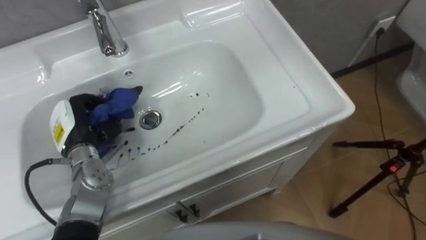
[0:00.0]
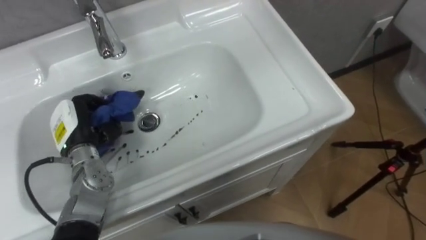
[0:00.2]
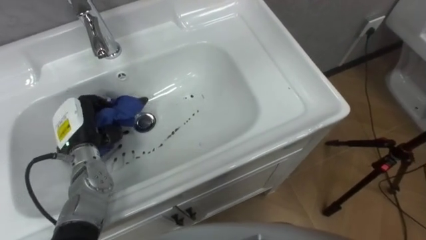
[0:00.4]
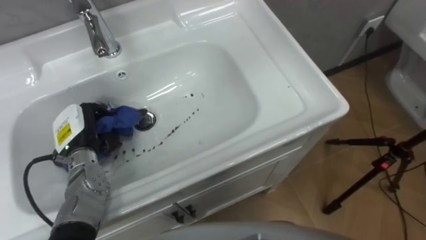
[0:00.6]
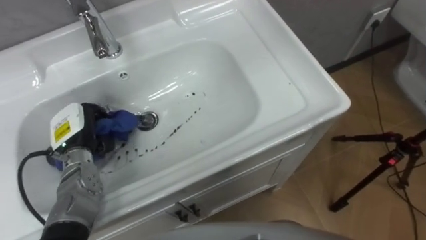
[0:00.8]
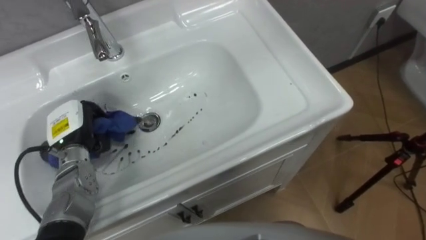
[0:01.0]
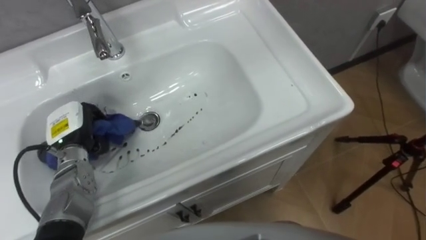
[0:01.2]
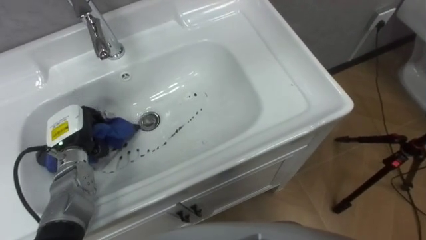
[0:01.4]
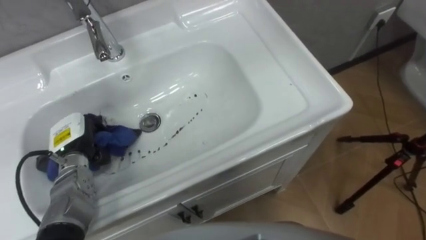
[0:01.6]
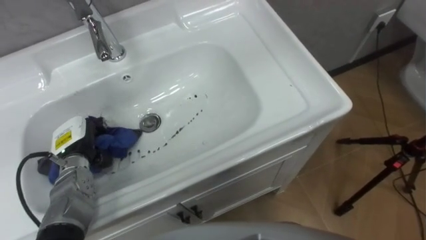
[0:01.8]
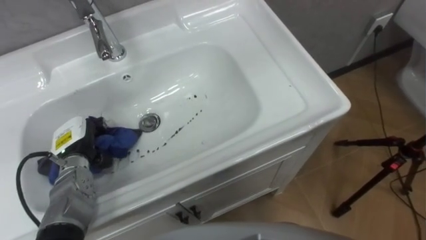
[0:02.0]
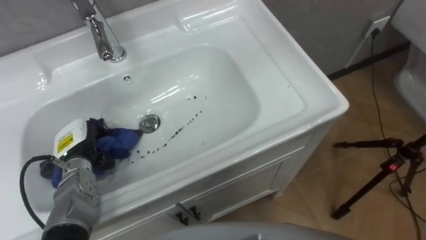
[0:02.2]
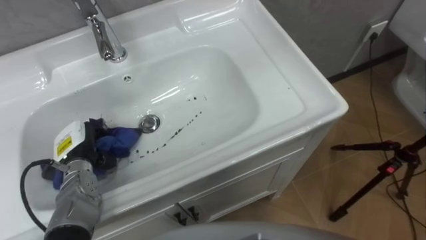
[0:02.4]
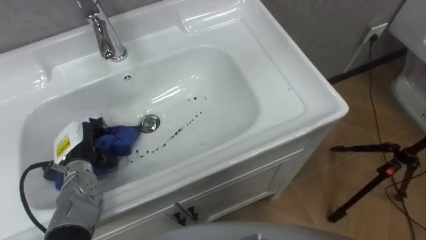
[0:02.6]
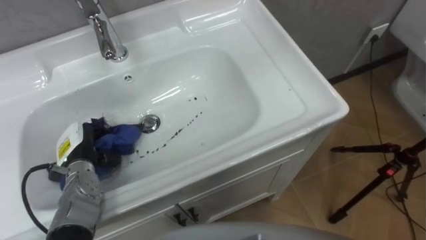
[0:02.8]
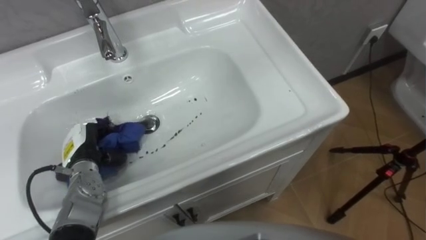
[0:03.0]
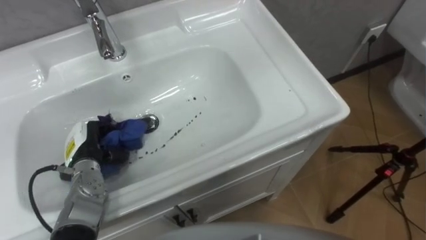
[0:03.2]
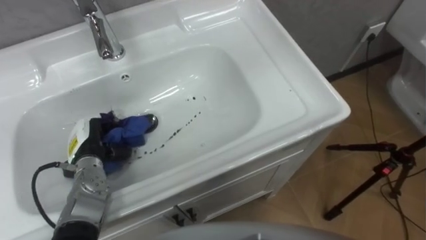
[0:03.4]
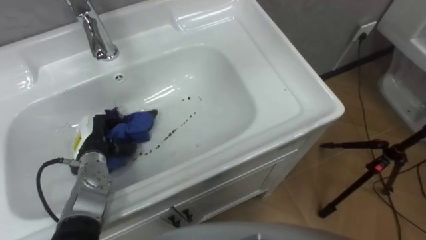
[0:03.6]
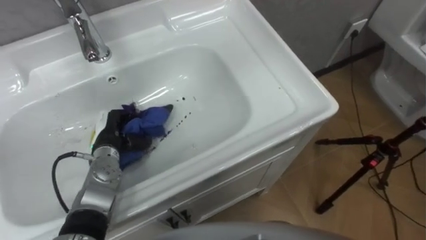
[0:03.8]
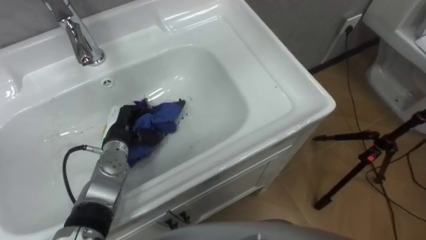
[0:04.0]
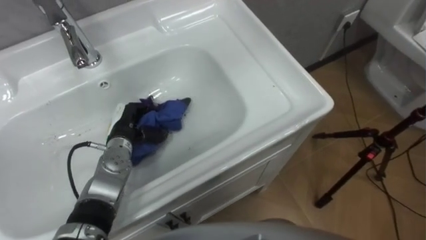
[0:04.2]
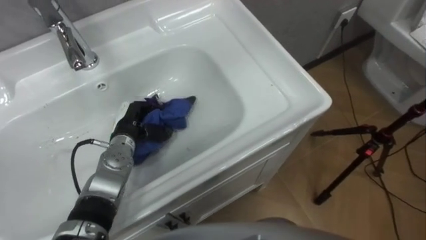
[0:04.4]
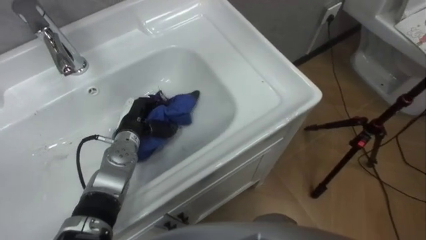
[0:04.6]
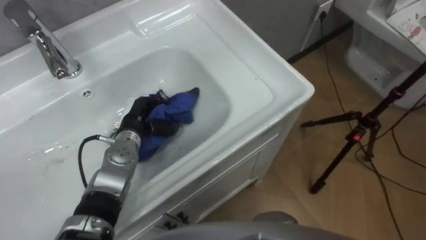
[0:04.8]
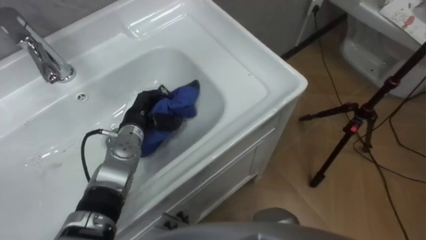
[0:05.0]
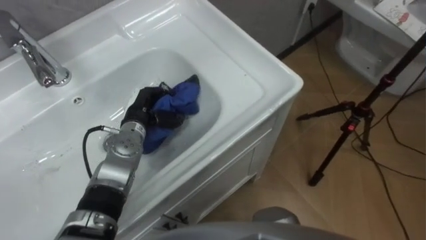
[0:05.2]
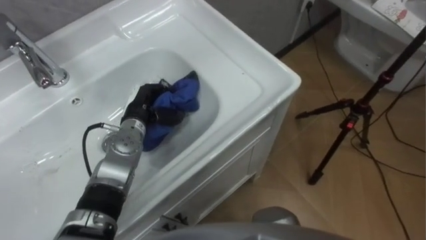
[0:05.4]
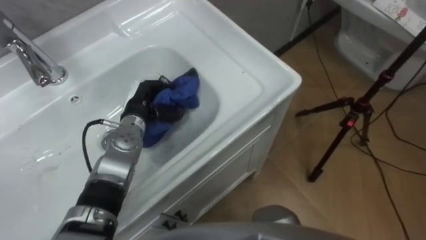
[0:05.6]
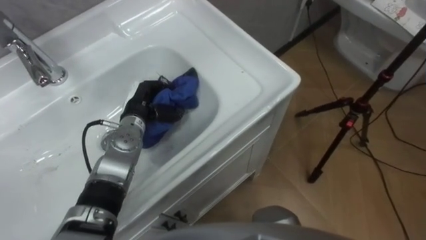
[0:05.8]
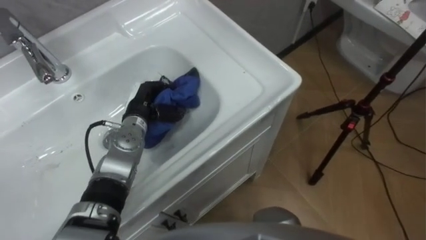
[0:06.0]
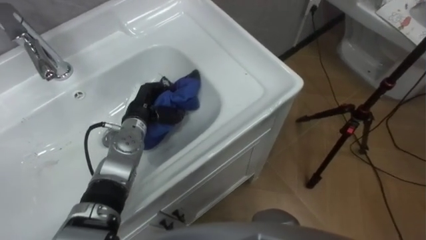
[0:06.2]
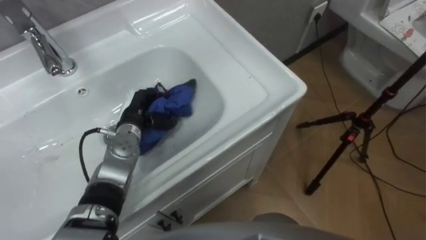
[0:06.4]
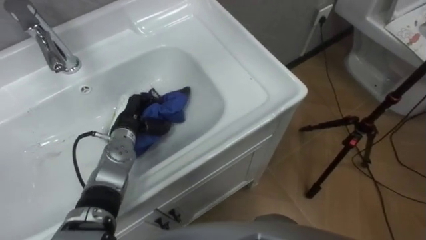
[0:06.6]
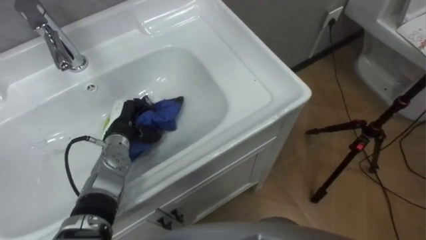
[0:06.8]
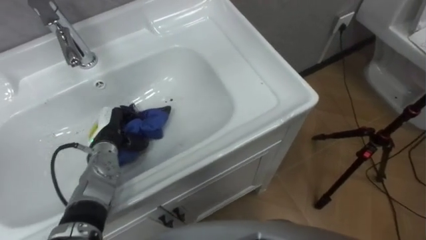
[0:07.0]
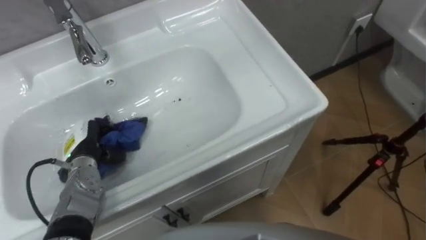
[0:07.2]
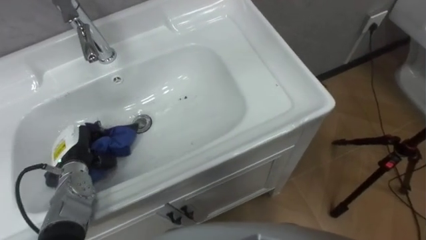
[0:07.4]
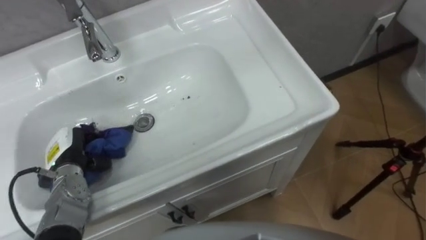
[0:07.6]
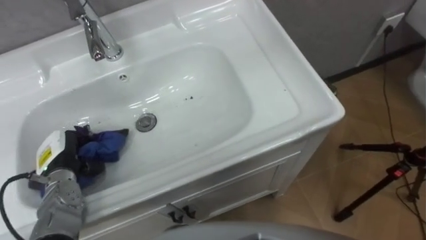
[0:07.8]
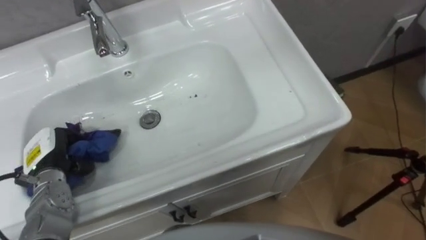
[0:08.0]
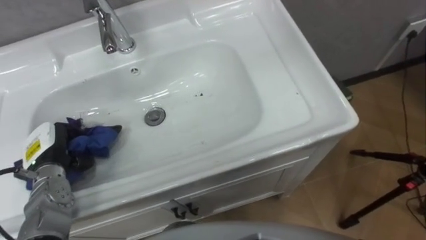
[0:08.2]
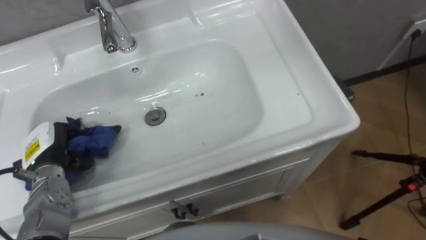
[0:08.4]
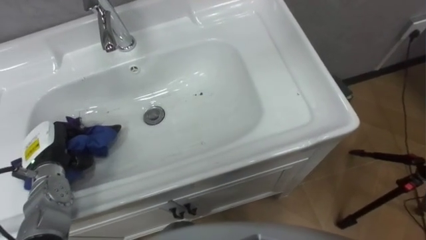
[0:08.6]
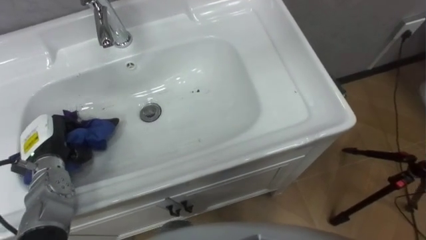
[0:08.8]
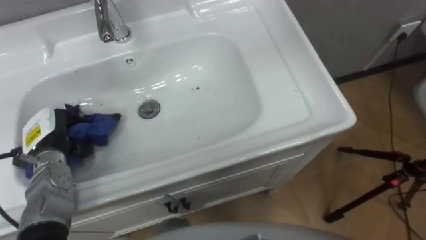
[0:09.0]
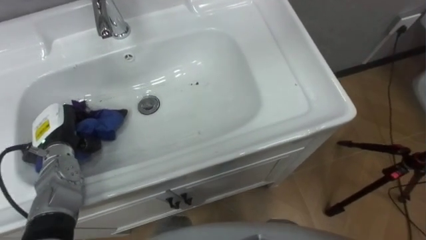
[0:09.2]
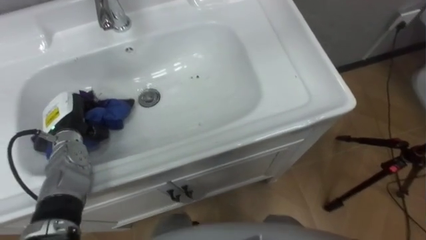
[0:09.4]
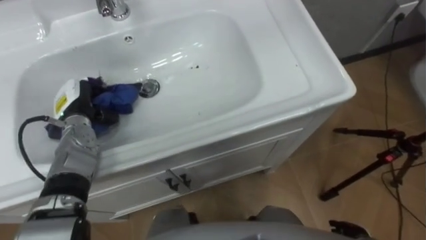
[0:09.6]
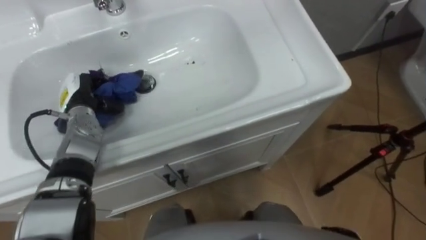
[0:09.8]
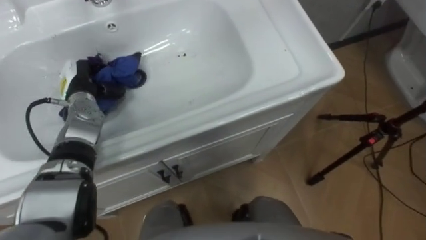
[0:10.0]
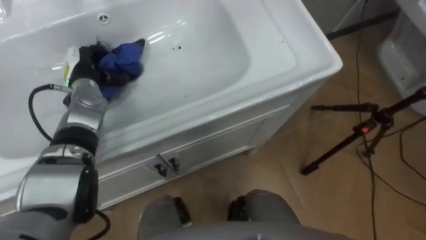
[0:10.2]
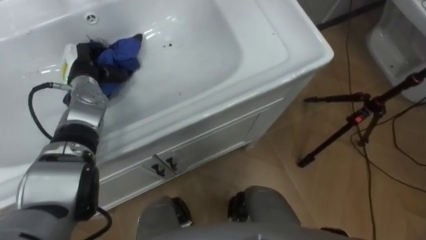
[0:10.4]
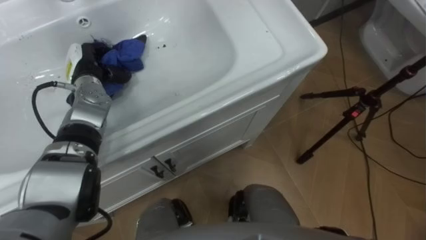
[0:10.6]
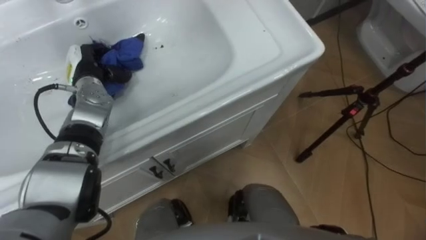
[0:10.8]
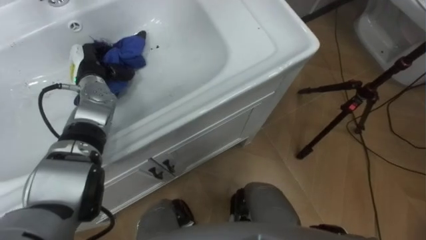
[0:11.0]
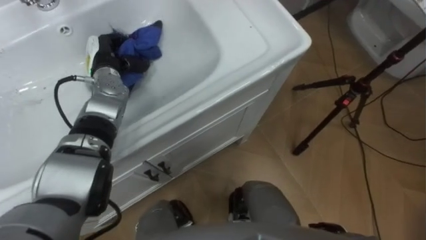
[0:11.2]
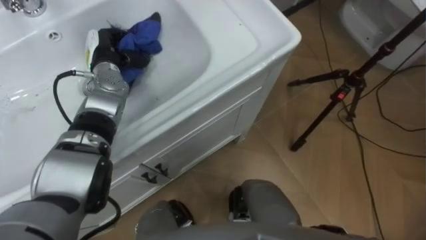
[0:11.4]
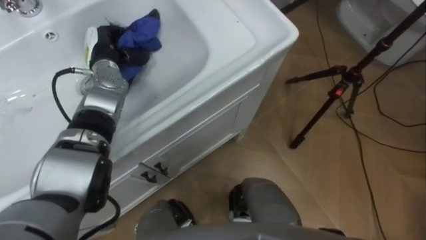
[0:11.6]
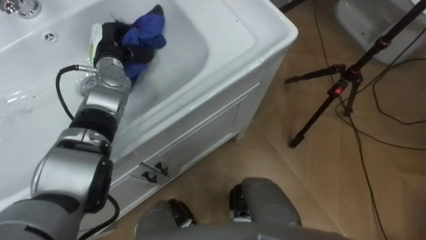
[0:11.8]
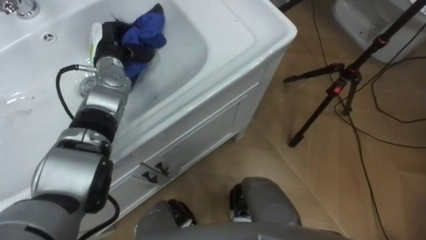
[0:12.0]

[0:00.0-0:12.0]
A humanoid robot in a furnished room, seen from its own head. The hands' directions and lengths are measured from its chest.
Task of the whole recording: Use the cloth on the right to wipe away the black stain in the sink.
0:03.0 to 0:04.4: The left hand goes roughly 10 cm to the right and forward.
0:04.4 to 0:06.0: The left hand ends up about 5 cm from where it was.
0:06.0 to 0:07.6: The left hand is displaced to the left and backward by approximately 20 cm.
0:07.6 to 0:09.0: The left hand ends up approximately 5 cm from where it was.
0:09.0 to 0:10.4: The left hand heads forward and to the right, covering some 15 cm.
0:10.4 to 0:12.0: The left hand is displaced to the right by about 5 cm.

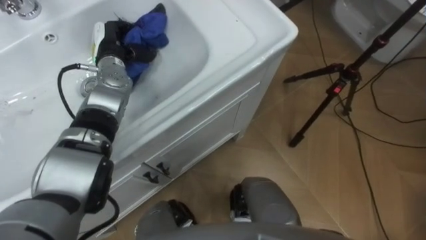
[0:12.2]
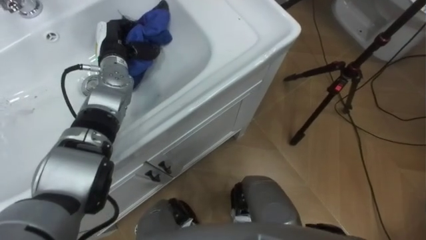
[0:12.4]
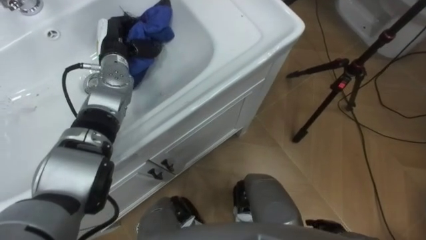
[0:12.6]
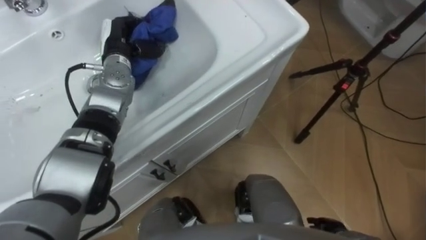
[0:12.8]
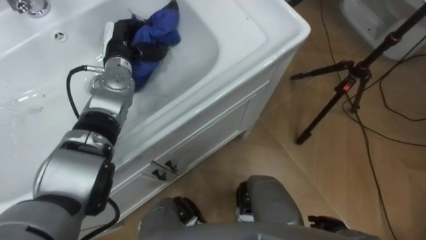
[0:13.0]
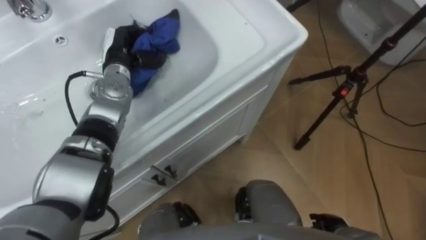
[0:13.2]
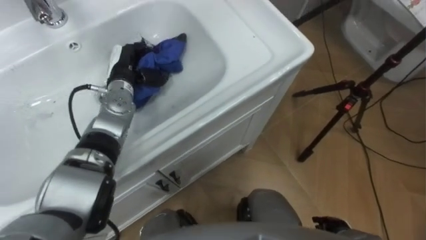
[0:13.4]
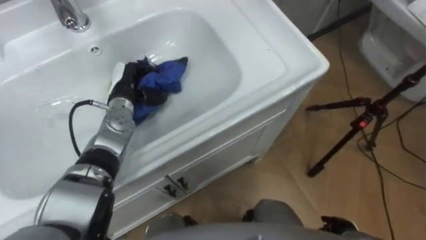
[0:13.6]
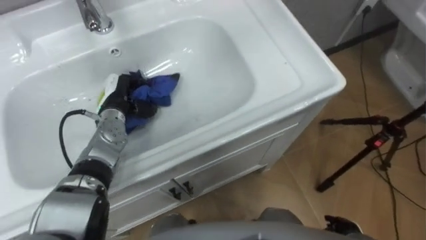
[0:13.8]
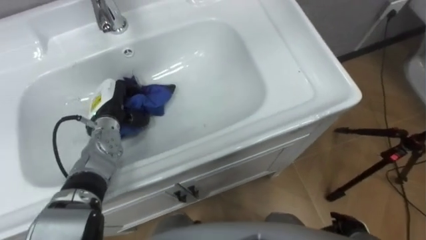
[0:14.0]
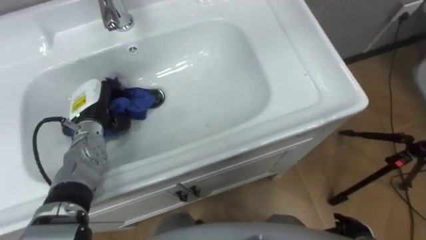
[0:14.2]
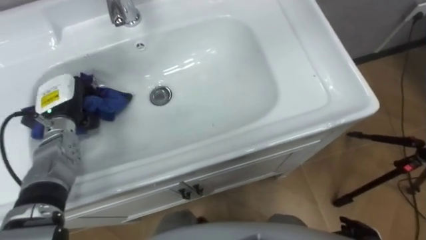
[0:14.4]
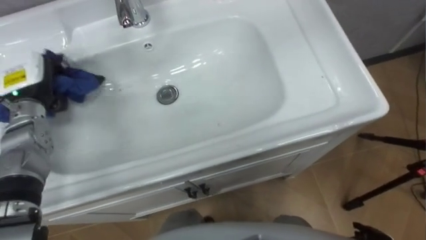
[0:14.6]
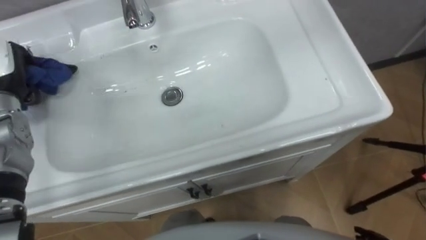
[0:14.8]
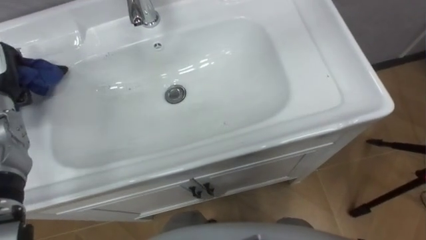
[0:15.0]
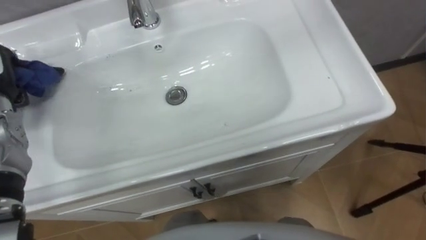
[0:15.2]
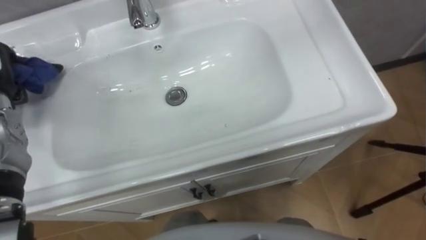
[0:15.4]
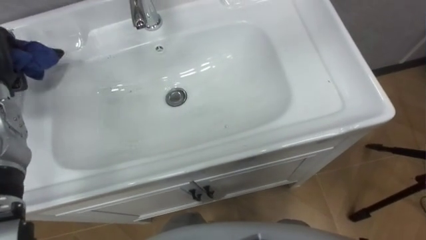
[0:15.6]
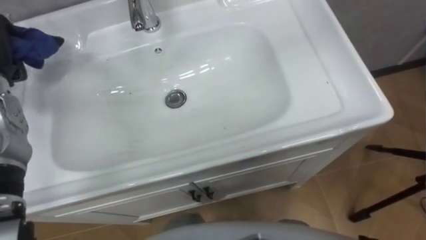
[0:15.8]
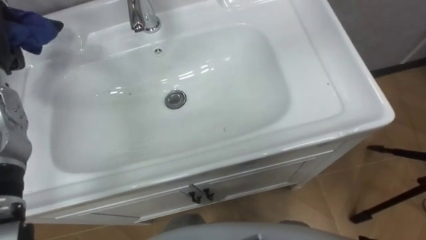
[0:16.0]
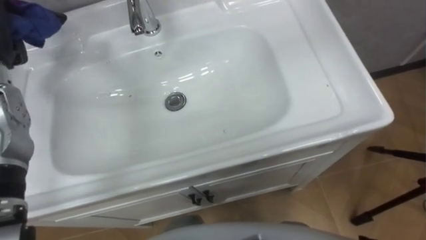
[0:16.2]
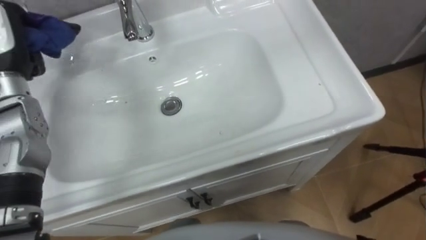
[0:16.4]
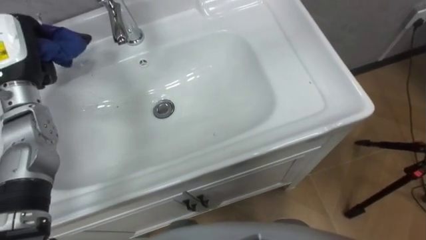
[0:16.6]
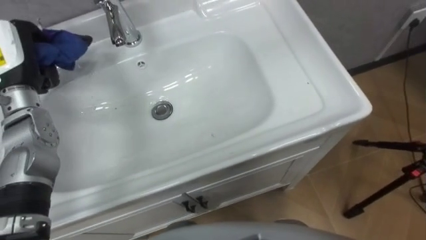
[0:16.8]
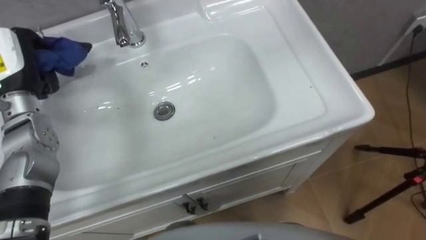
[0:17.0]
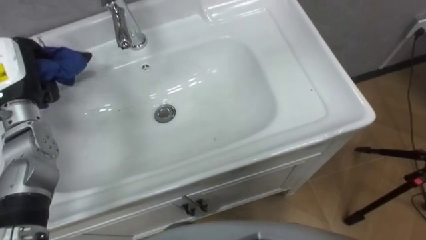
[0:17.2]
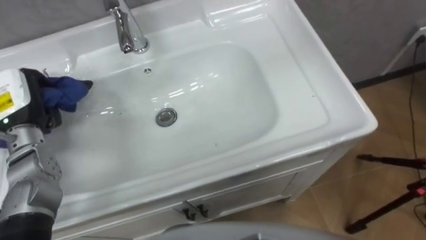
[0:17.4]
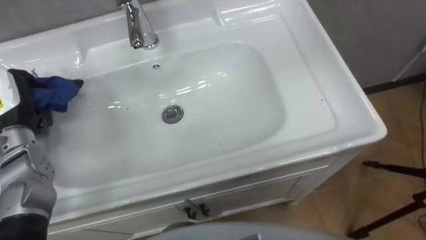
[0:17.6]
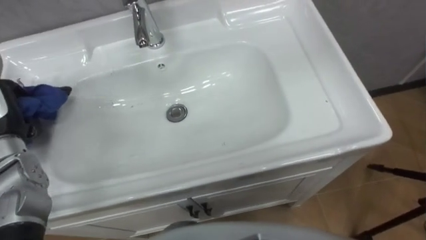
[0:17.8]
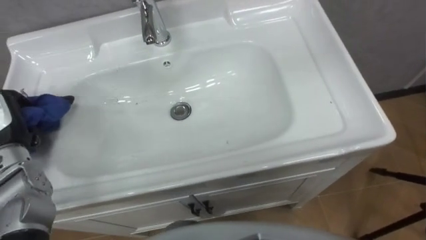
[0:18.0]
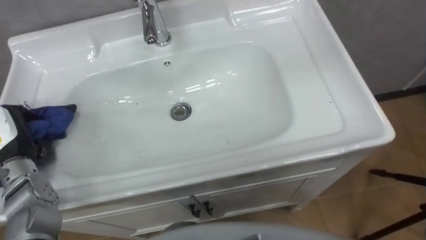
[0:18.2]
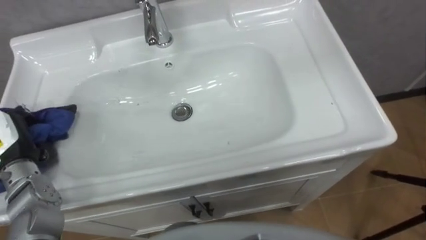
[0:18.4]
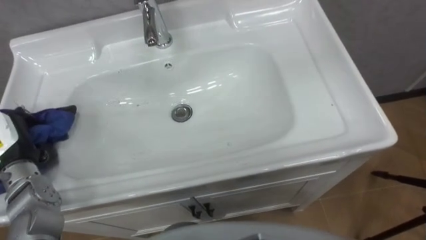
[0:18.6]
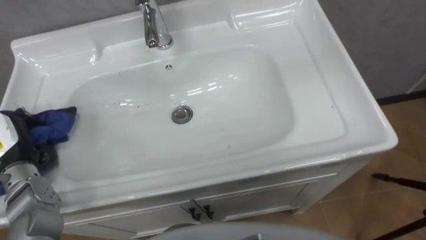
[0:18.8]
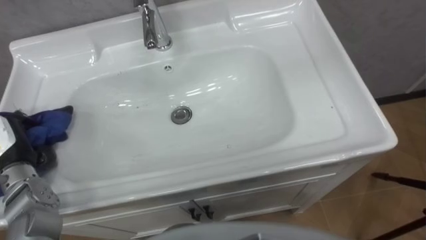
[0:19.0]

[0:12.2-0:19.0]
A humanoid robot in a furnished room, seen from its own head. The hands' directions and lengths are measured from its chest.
Task of the whole recording: Use the cloth on the right to wipe away the black stain in the sink.
0:12.2 to 0:13.6: The left hand goes roughly 10 cm downward and backward.
